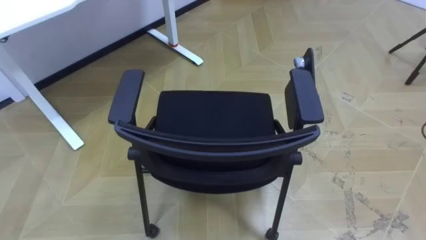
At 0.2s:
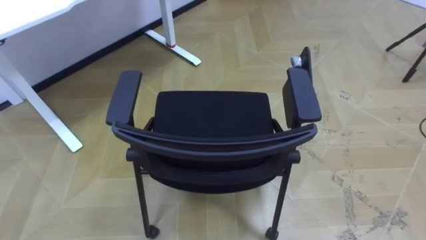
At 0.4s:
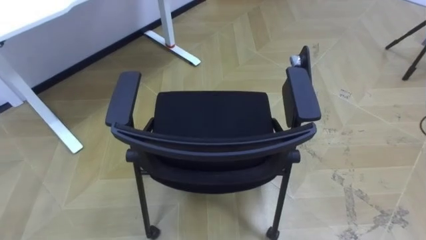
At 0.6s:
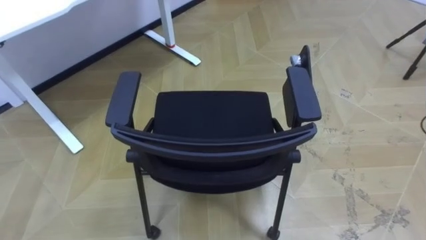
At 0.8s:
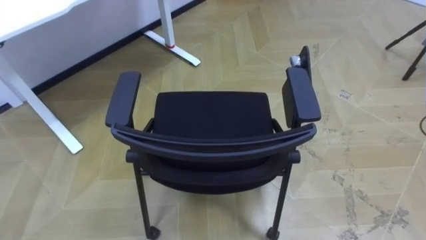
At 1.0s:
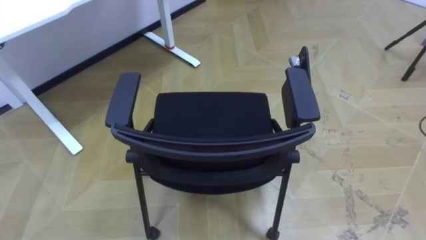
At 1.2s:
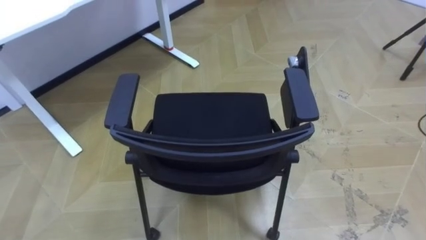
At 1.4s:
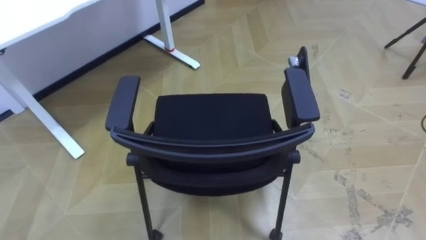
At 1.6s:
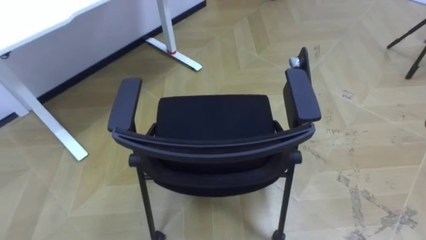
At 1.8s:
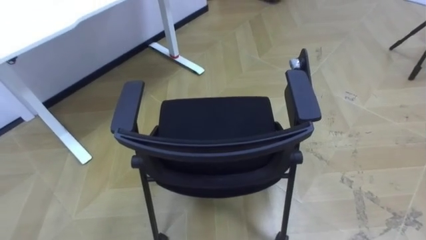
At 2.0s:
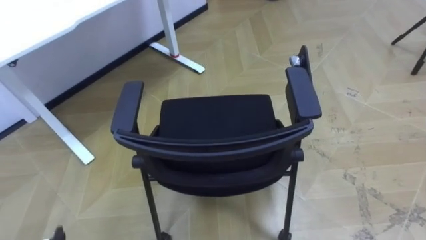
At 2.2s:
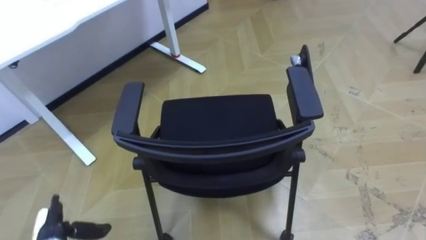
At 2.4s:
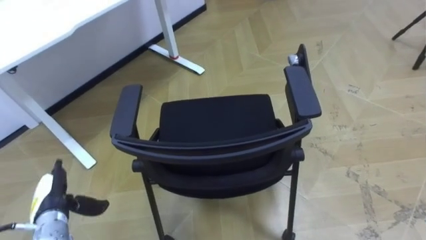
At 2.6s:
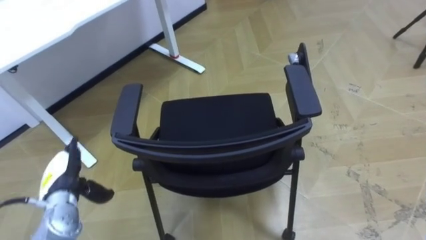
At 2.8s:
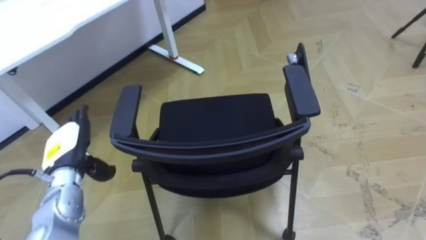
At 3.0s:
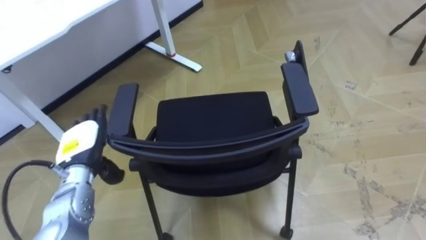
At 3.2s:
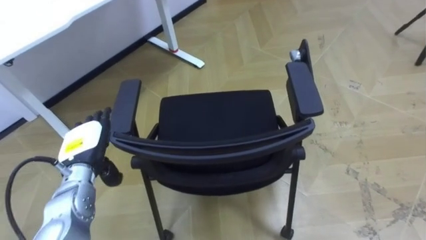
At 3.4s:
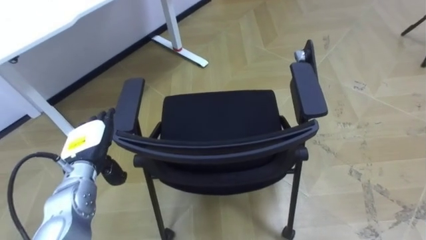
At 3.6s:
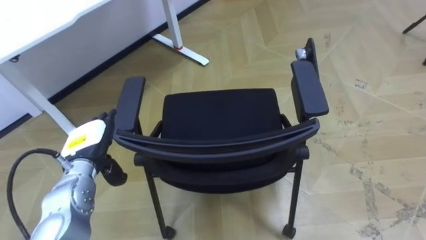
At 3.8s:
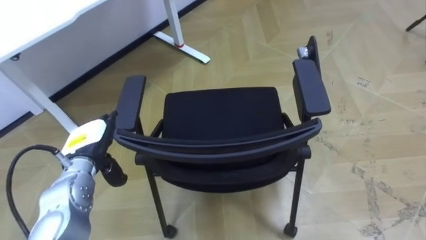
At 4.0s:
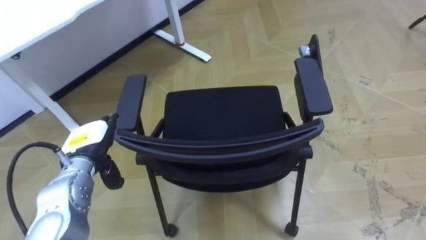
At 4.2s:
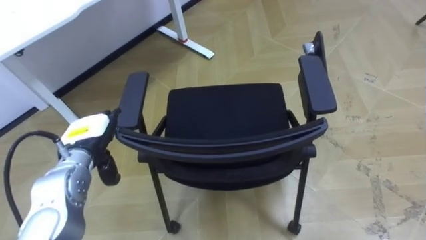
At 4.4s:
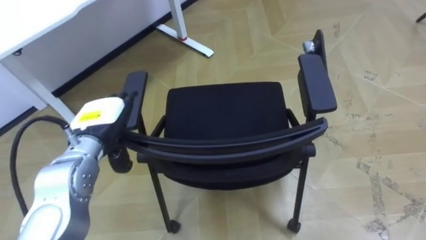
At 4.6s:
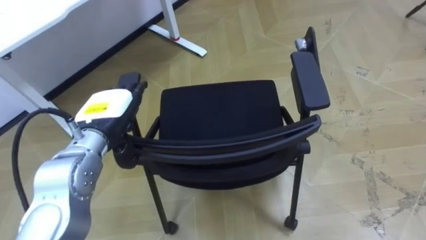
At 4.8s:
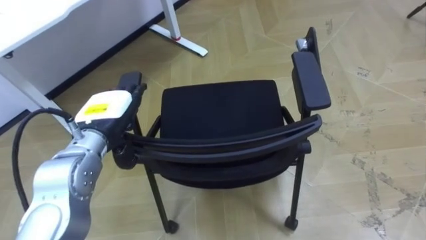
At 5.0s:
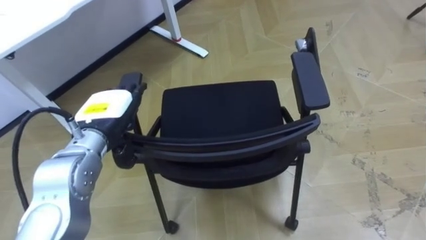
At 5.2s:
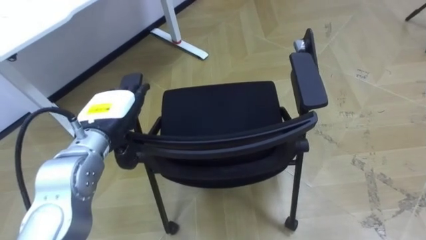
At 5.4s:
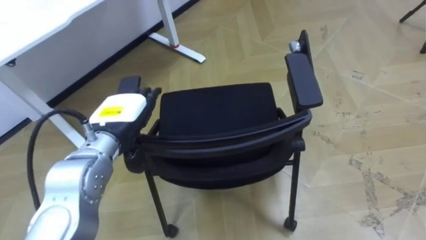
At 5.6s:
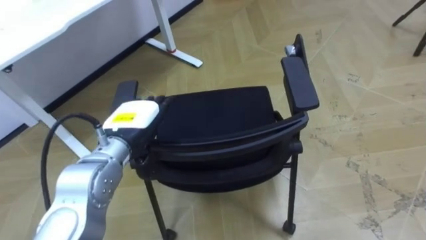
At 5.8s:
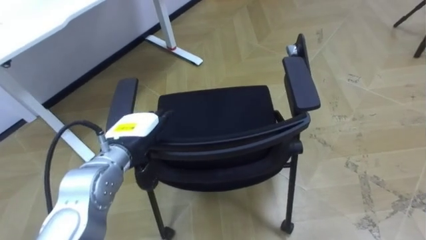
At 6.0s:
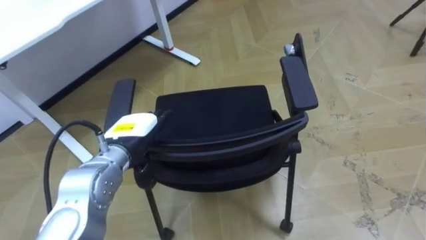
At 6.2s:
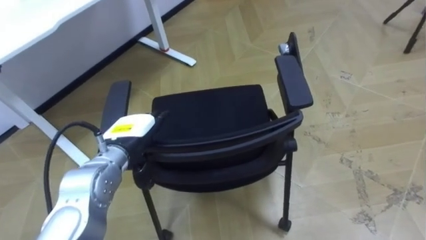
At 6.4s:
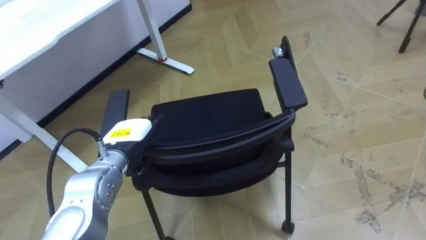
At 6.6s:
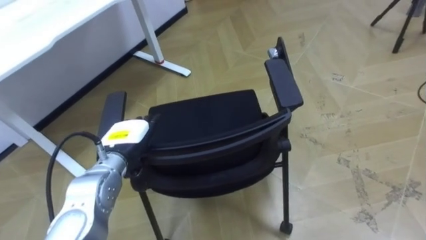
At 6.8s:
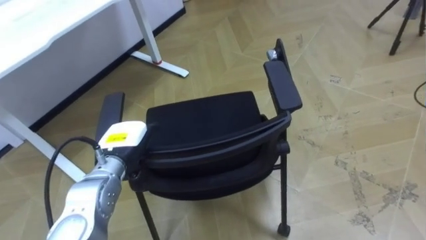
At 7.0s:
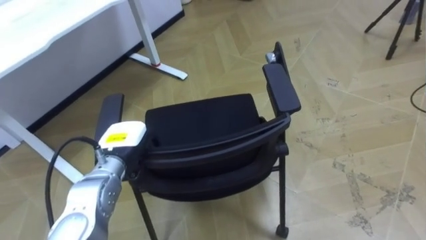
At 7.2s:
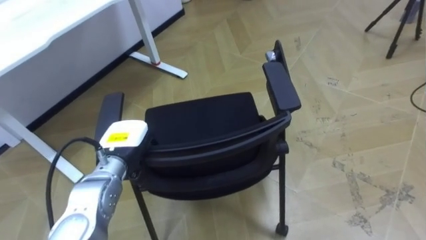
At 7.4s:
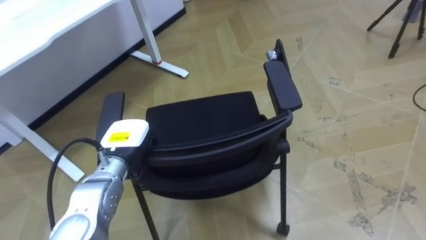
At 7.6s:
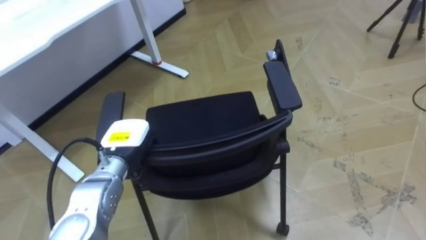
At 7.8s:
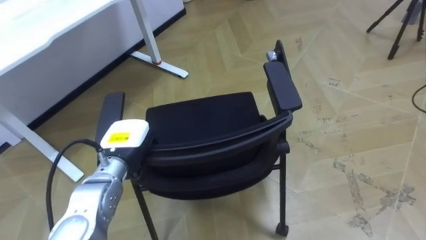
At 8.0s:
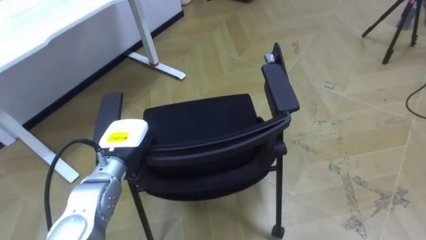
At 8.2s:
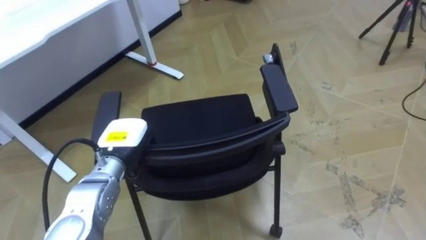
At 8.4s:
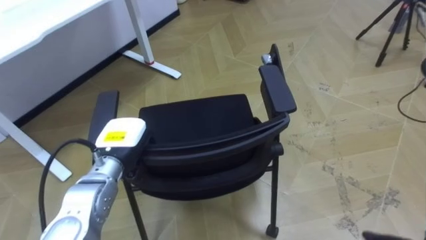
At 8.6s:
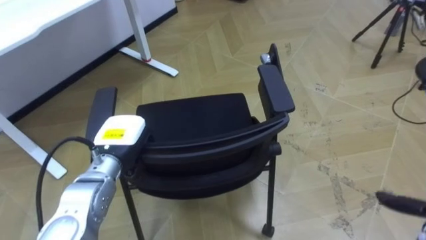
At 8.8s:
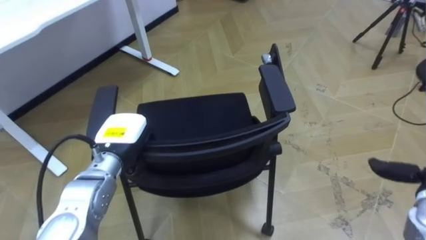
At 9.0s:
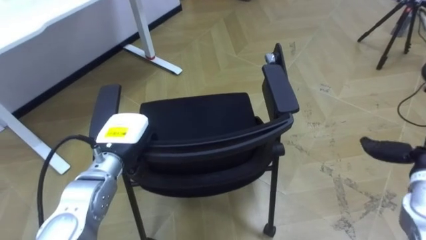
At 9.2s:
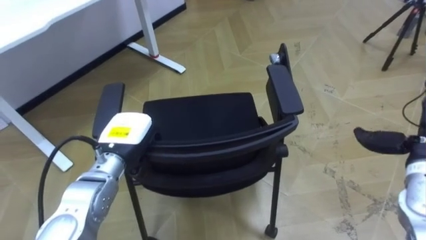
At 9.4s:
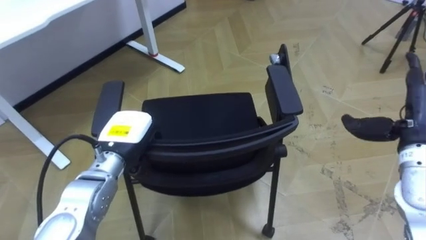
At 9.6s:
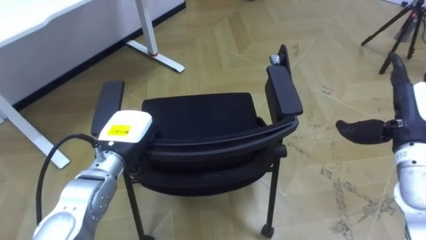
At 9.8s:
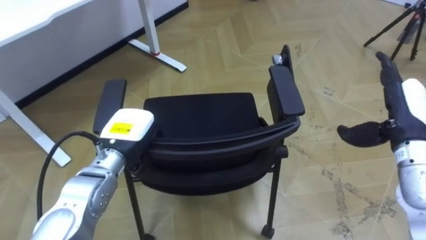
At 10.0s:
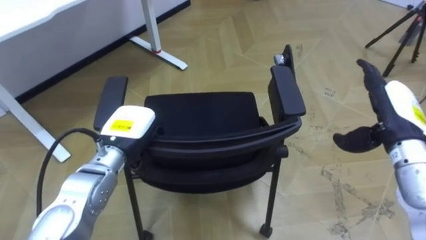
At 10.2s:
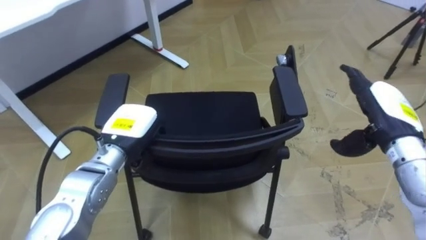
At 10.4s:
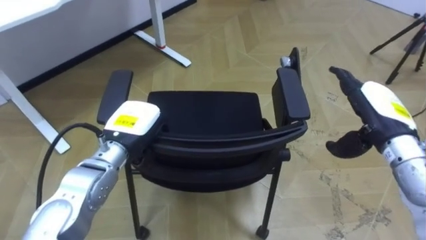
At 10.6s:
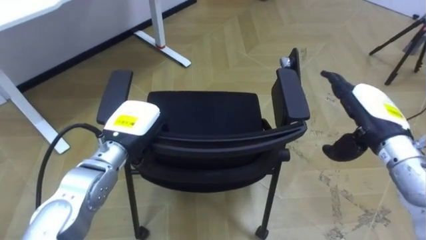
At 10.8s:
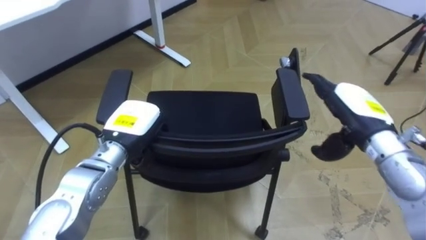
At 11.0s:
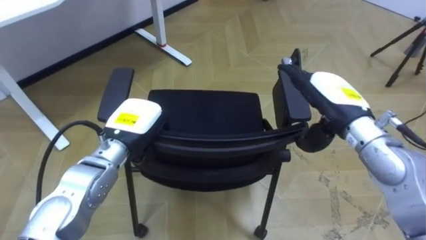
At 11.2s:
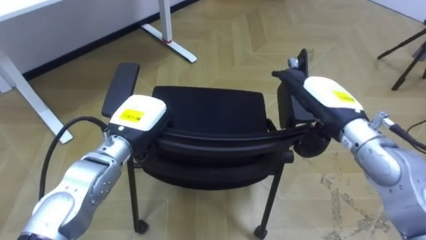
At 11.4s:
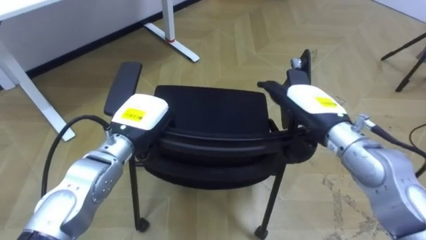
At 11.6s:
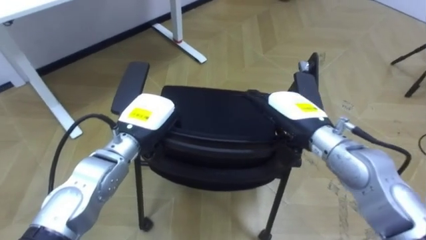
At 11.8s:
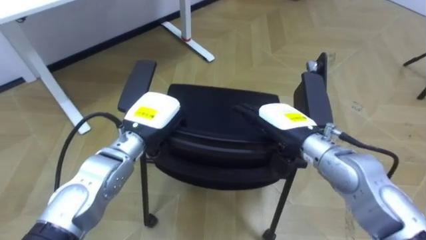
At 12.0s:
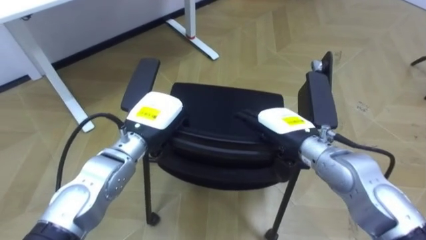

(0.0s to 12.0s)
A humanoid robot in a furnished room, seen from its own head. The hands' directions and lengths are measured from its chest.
Task of the whole recording: Push the chair under the table.
3.0s - 4.4s: The left hand is displaced upward by approximately 5 cm.
4.4s - 6.0s: The left hand moves to the right, some 5 cm.
6.0s - 7.6s: The left hand closes its fingers.
10.4s - 12.0s: The right hand shifts approximately 15 cm to the left.

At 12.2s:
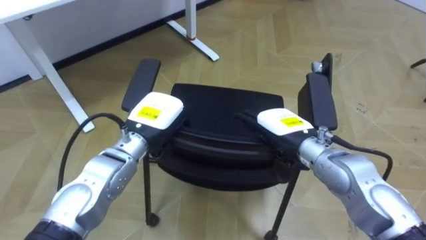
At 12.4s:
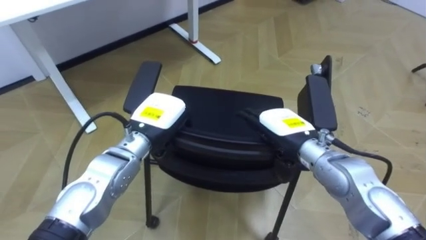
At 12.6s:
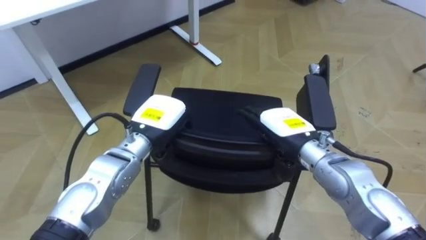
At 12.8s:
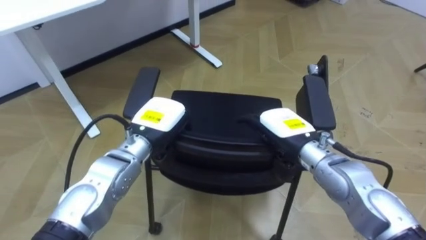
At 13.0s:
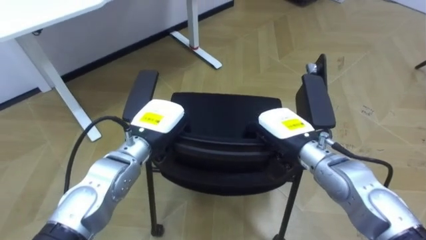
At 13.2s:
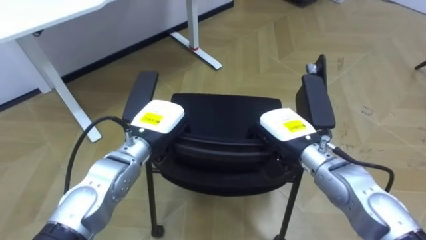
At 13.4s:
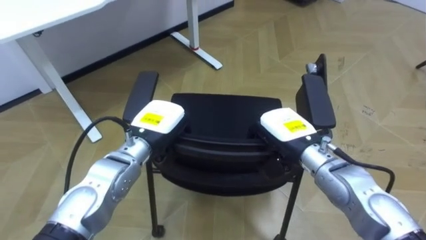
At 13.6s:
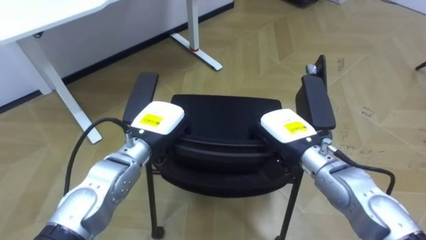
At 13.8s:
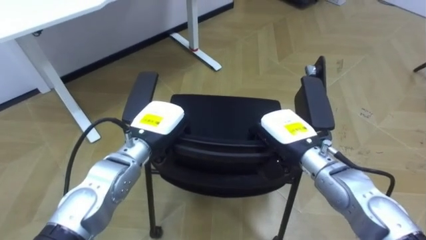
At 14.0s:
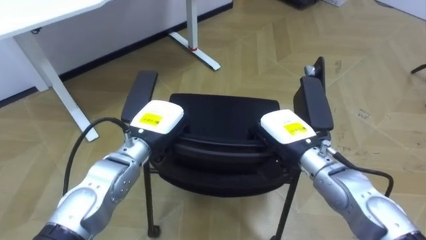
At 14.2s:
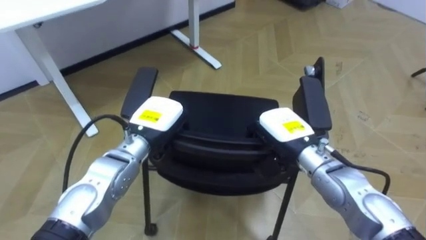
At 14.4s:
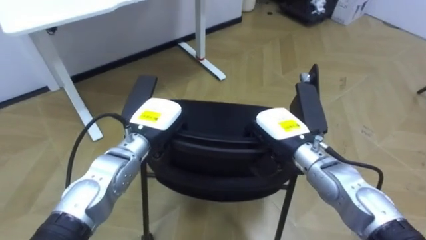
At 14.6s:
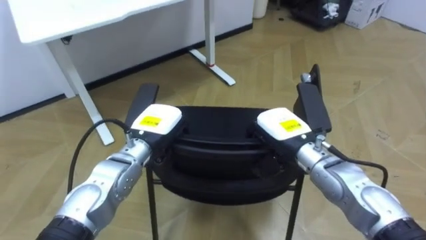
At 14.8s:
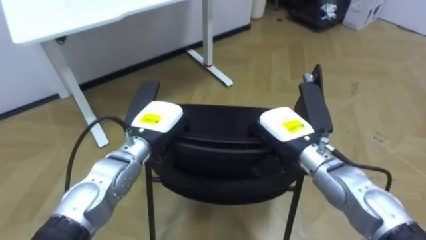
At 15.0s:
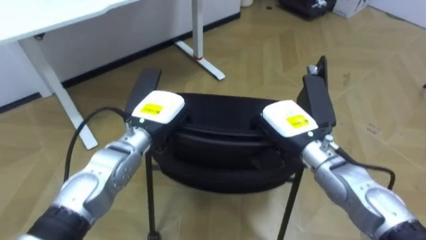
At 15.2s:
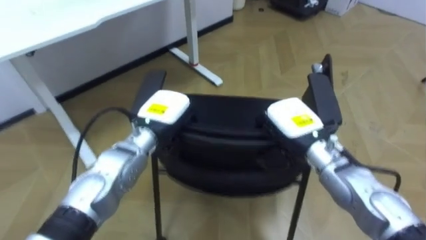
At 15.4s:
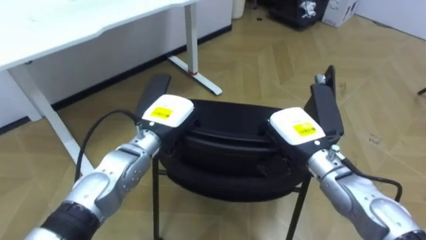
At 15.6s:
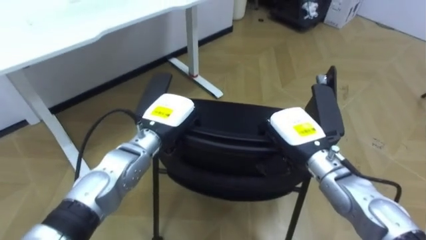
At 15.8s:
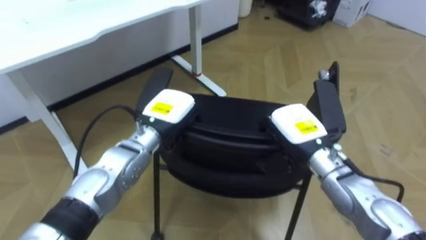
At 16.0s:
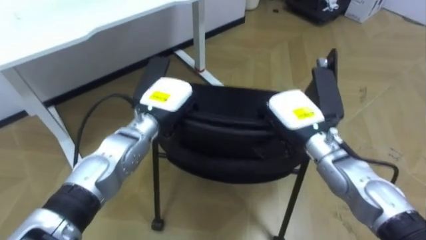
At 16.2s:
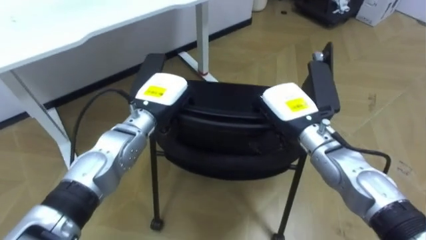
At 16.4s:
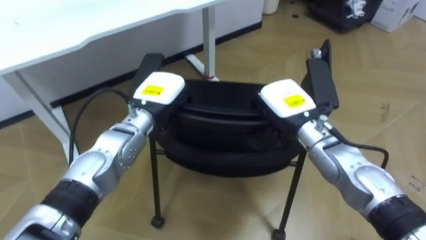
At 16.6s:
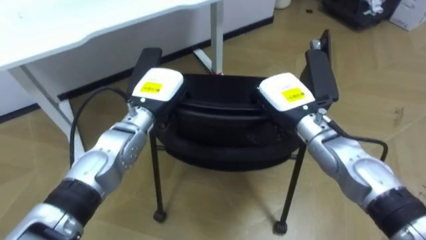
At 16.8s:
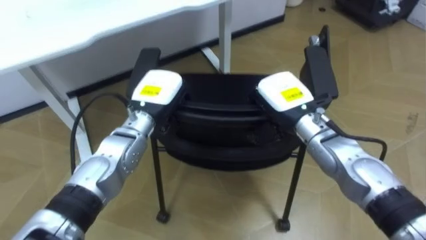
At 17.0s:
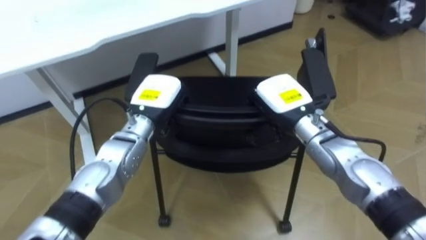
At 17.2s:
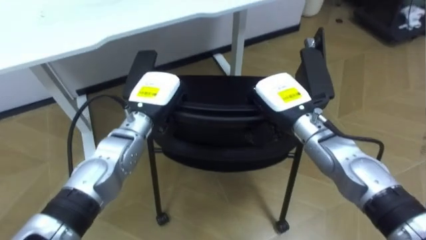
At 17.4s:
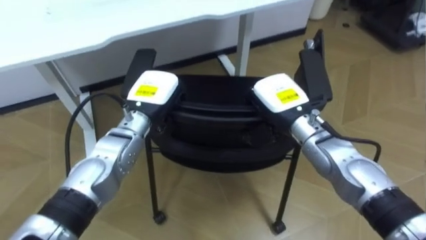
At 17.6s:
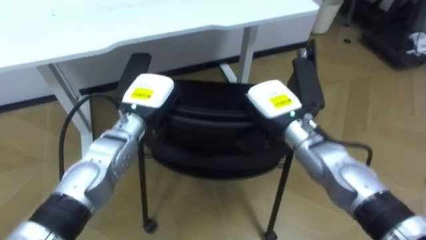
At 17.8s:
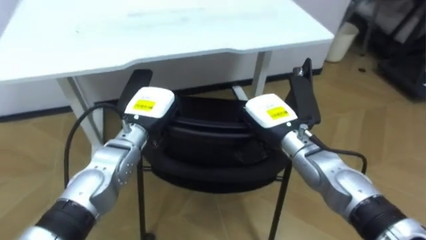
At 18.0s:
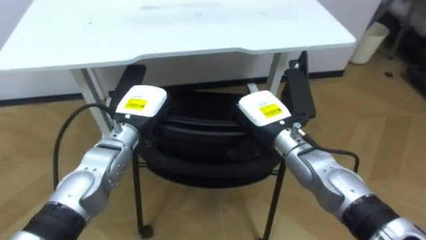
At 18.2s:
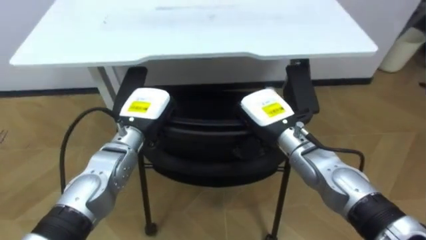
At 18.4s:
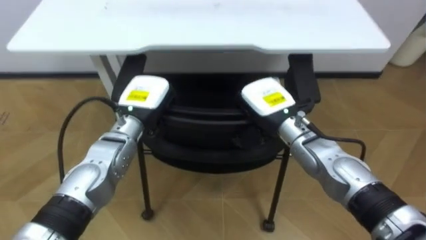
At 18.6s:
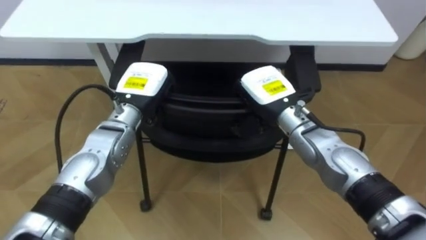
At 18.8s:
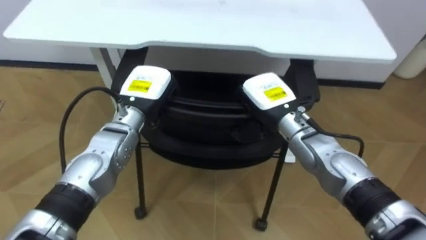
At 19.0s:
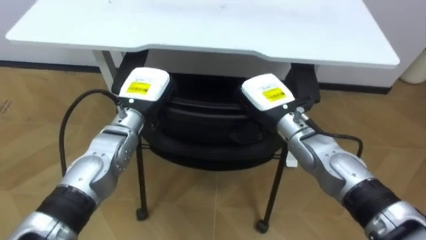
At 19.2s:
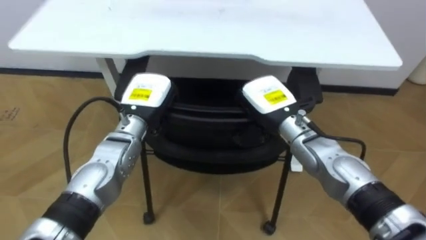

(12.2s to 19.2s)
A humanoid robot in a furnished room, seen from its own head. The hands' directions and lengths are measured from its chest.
Task of the whole recording: Push the chair under the table.
12.2s - 13.6s: The right hand closes its fingers.
17.8s - 19.2s: The robot's body swings roughly 15 degrees to its left.
